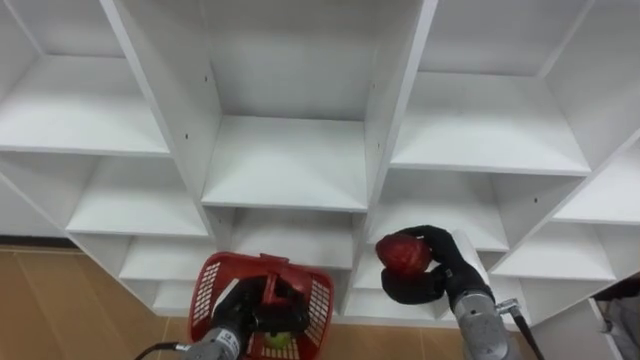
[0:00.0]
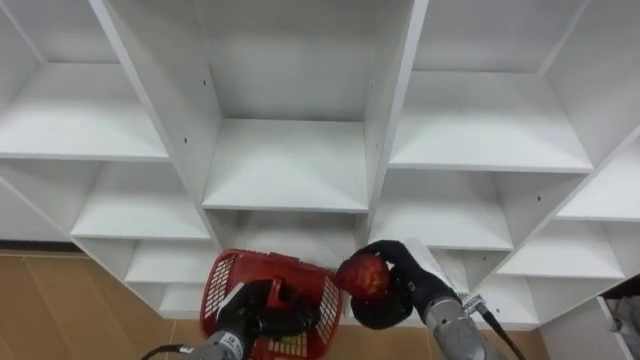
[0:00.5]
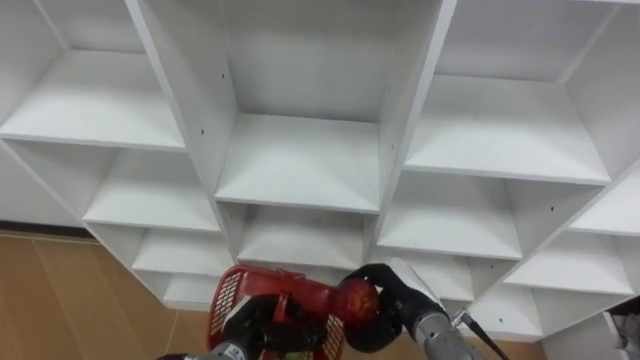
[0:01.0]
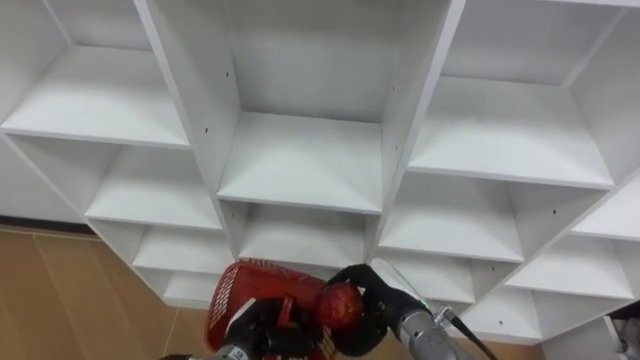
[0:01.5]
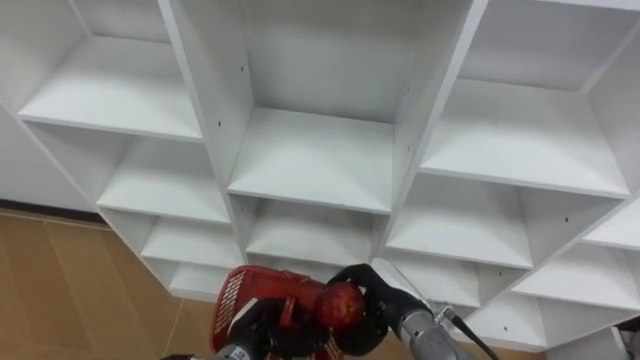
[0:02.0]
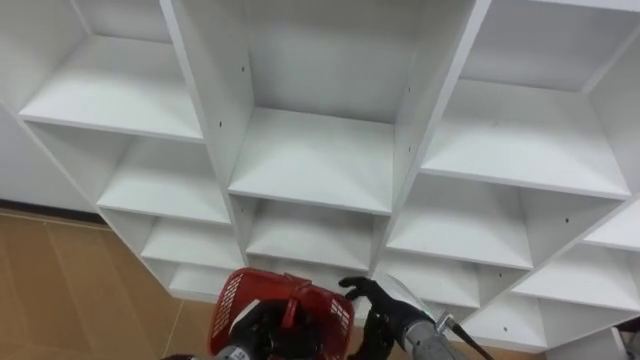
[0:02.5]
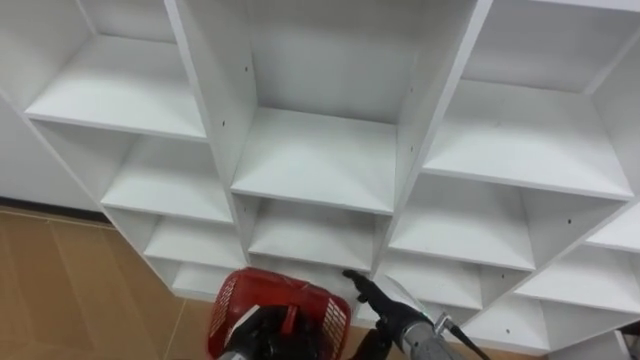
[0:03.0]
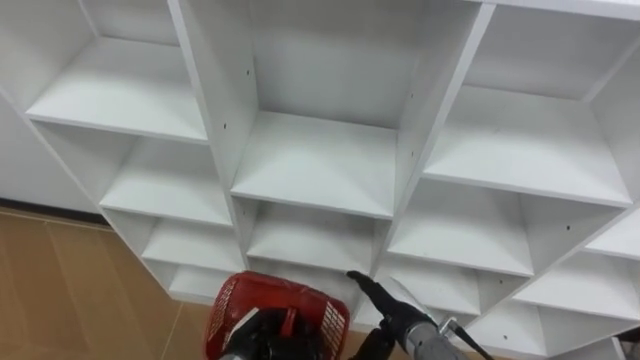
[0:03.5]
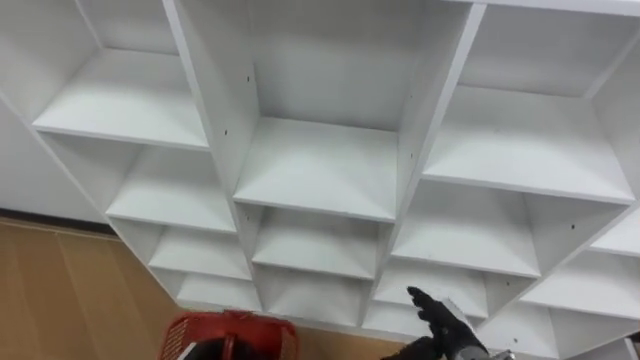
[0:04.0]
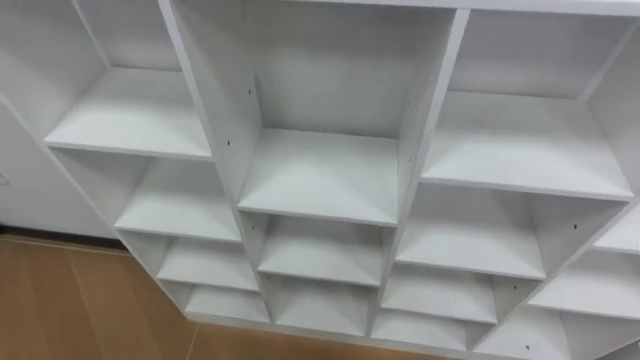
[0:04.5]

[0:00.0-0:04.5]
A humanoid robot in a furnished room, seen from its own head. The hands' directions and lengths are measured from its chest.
Task of the whole recording: Hold the basket and collect the fruits from 3 different cells of the closet into it.
0:00.0 to 0:02.0: The right hand heads to the left, covering some 10 cm.

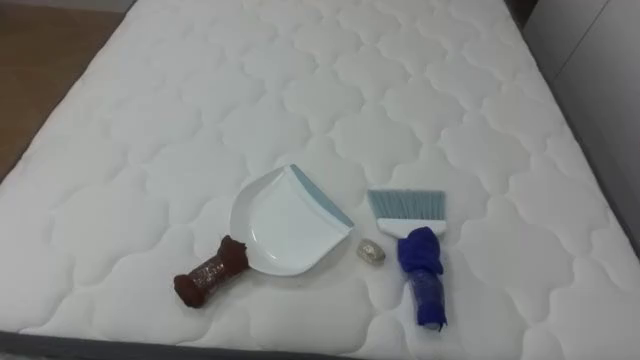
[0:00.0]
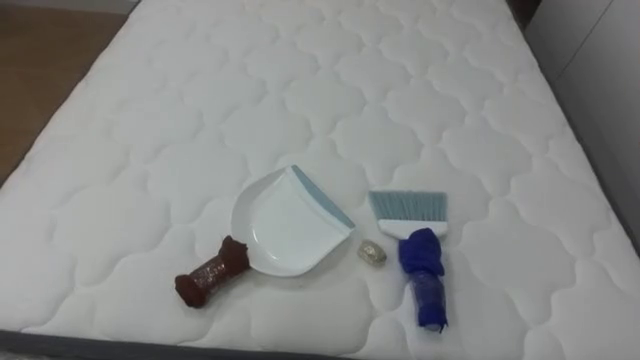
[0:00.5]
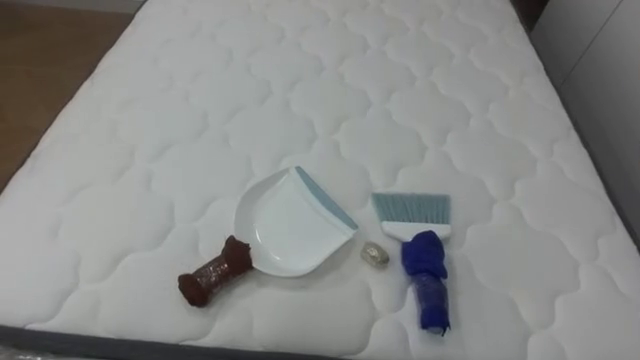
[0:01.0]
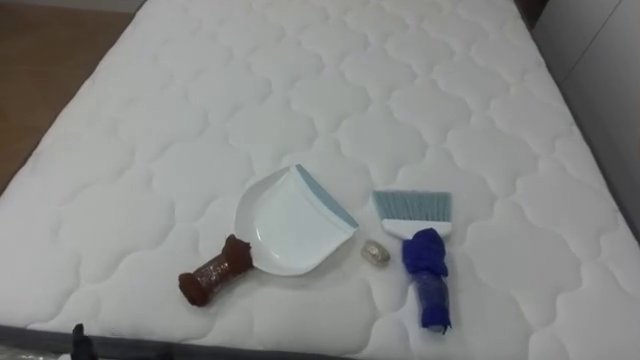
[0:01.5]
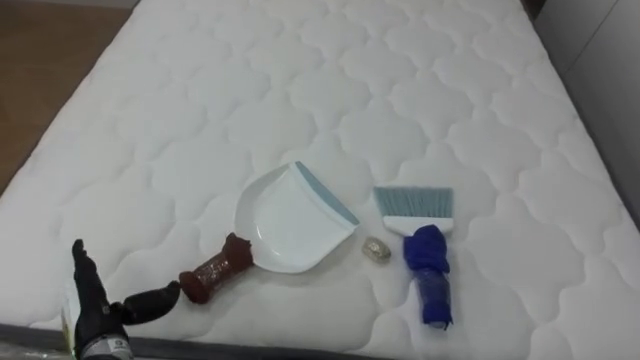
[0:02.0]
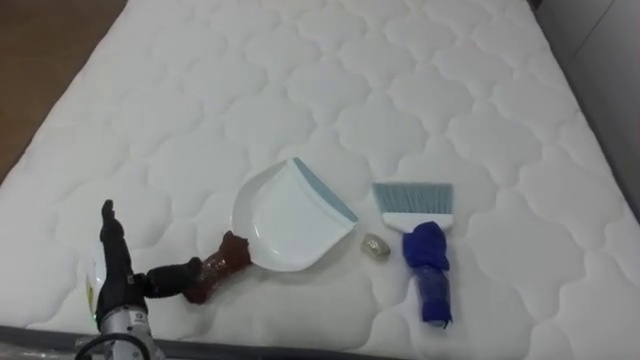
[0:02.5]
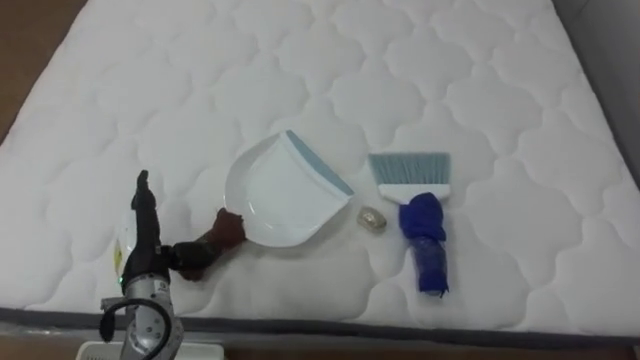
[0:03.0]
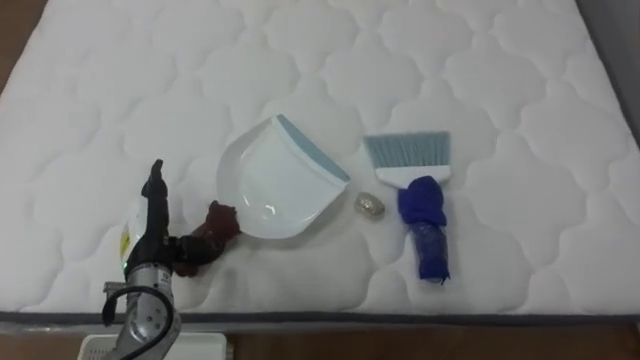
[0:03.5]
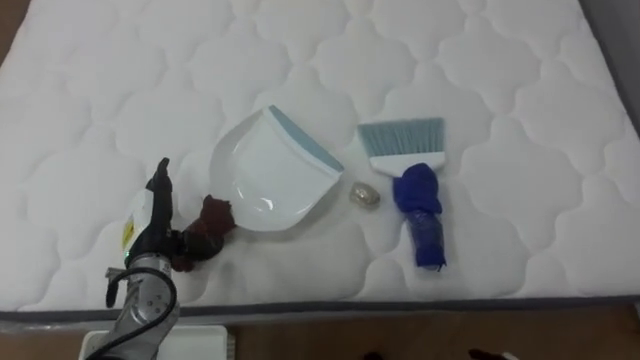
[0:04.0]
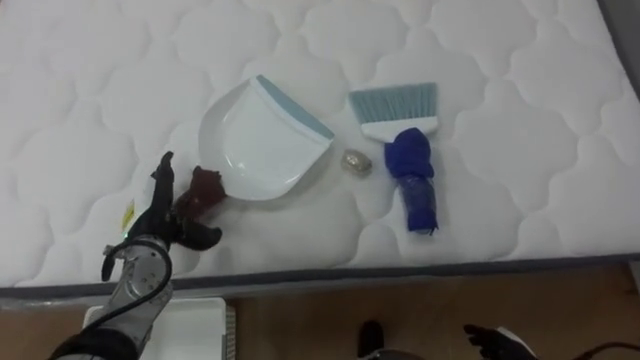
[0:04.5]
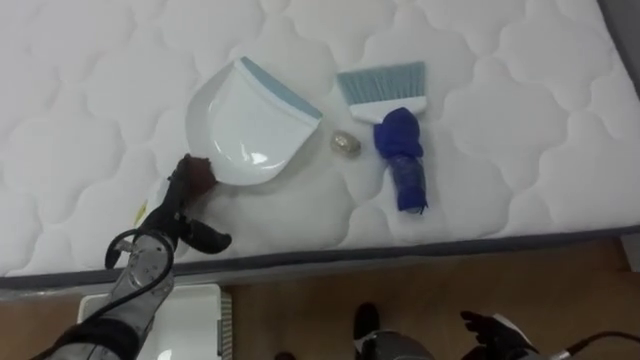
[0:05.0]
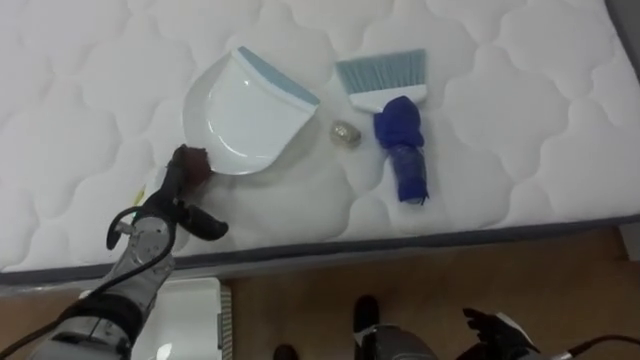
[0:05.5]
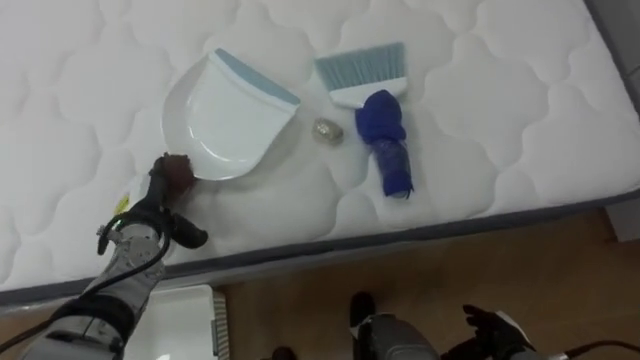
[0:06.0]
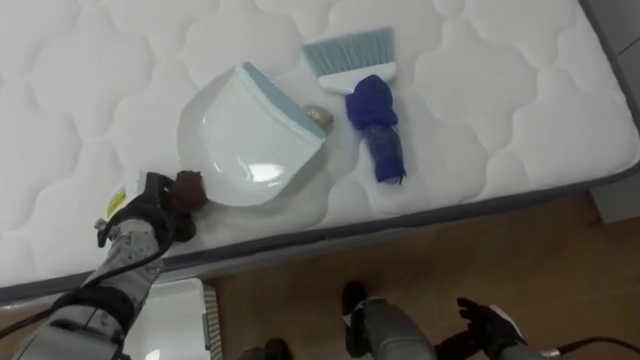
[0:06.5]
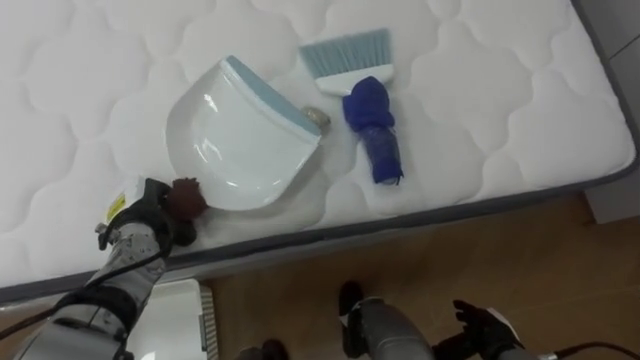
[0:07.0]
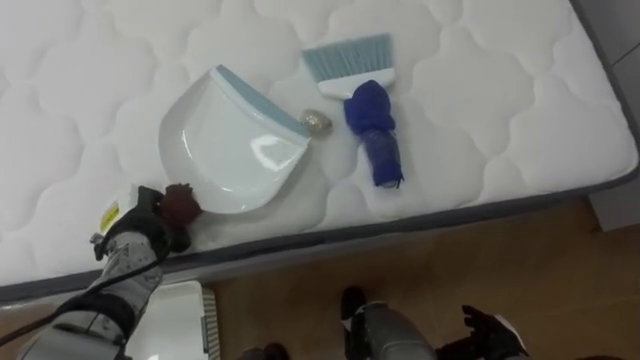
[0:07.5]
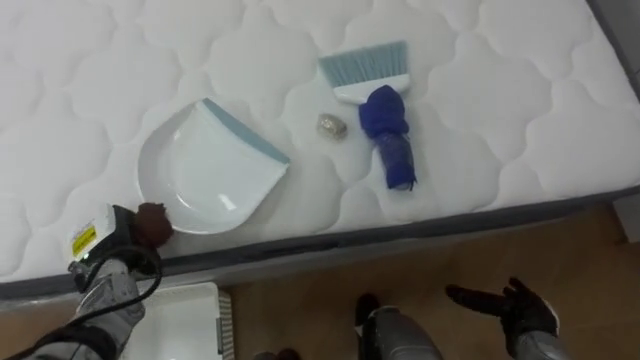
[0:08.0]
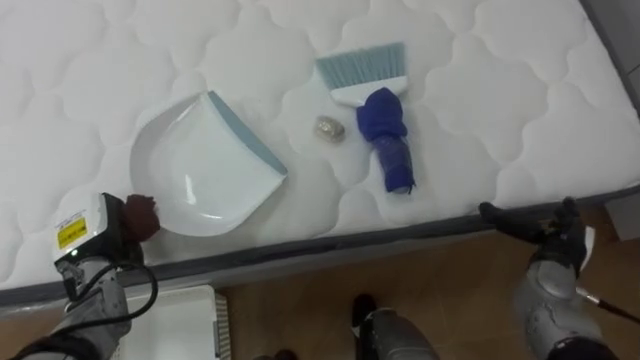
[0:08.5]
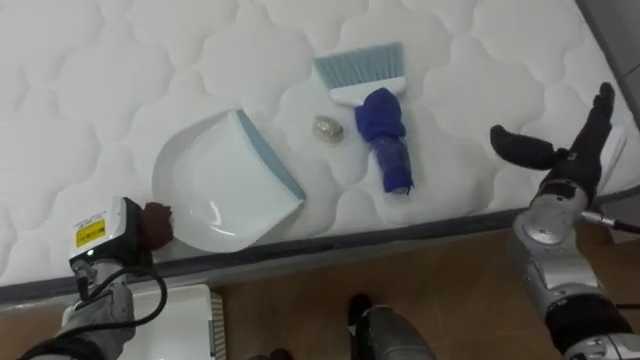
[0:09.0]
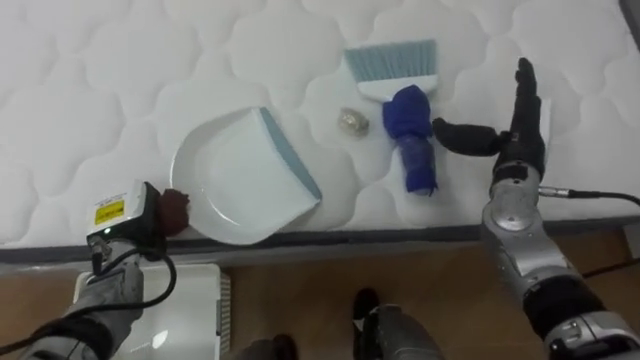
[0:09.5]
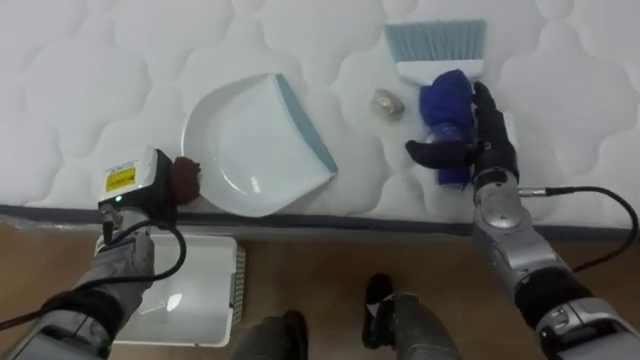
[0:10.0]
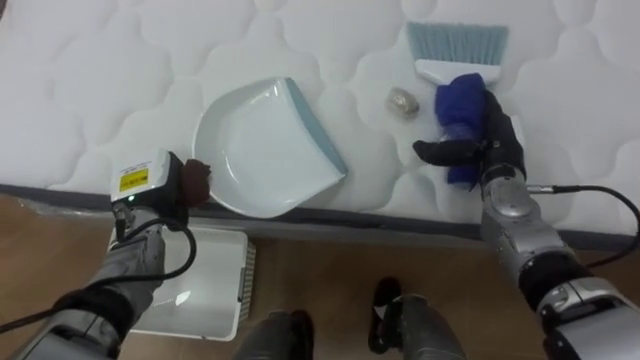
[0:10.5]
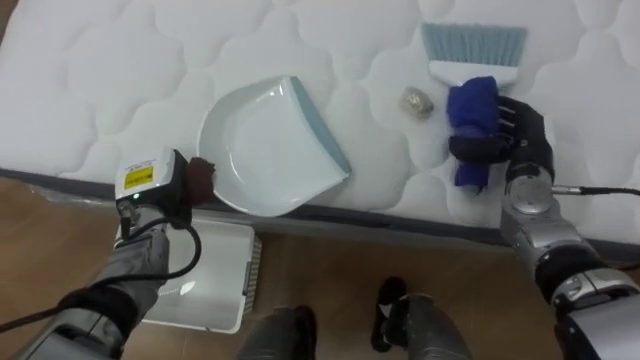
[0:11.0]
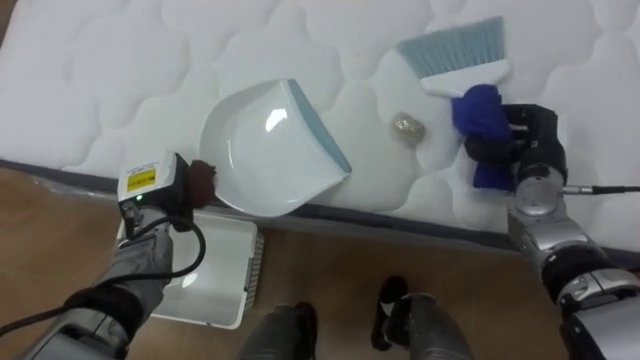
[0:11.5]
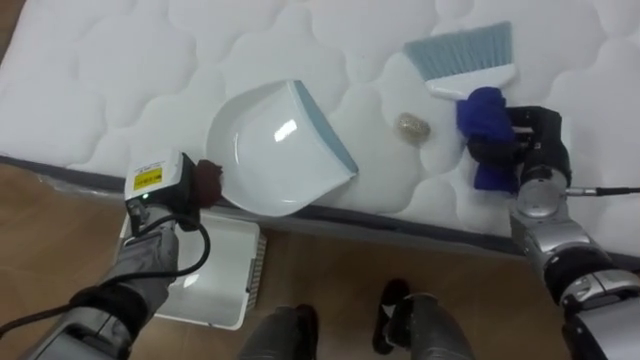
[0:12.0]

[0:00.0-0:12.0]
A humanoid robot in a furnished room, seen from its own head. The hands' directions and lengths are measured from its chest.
Task of the whole recording: Pick up the brush on your right and the dustpan on your left. Use the brush to sweep the crumpled paper on the bed into the dustpan, then turn left and empty it into the basket.
0:02.0 to 0:04.0: The left hand is displaced forward and to the right by roughly 10 cm.
0:06.0 to 0:08.0: The left hand moves about 5 cm, and closes its fingers.
0:08.0 to 0:10.0: The left hand goes about 10 cm forward and upward, while the right hand goes roughly 25 cm upward and forward.
0:10.0 to 0:12.0: The right hand moves to the right, about 5 cm, and closes its fingers.

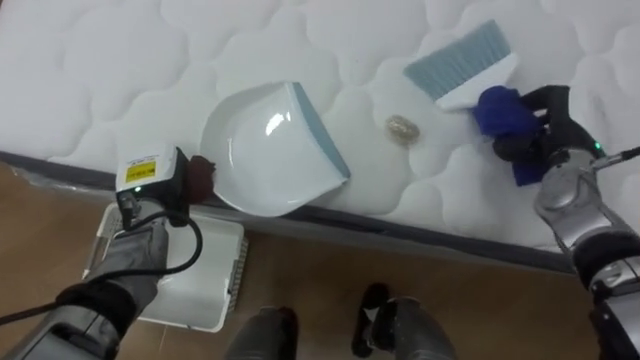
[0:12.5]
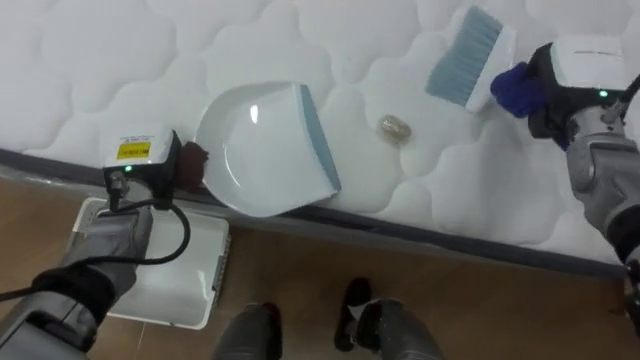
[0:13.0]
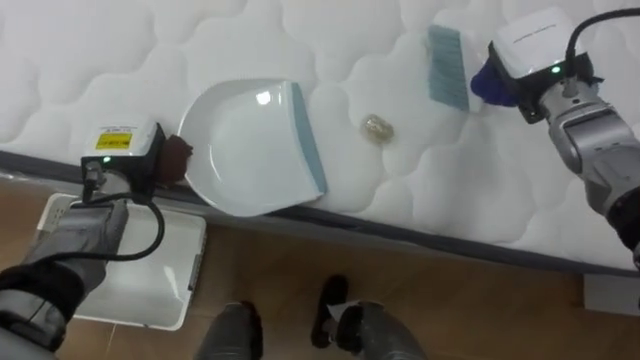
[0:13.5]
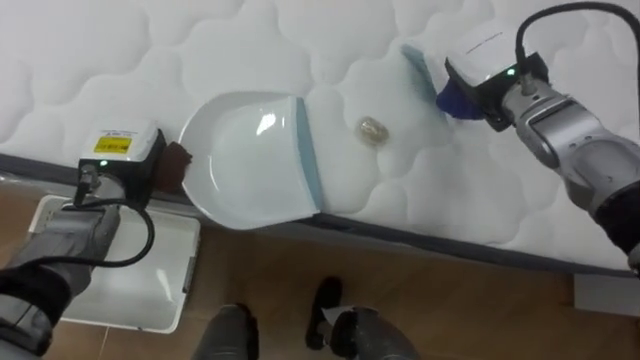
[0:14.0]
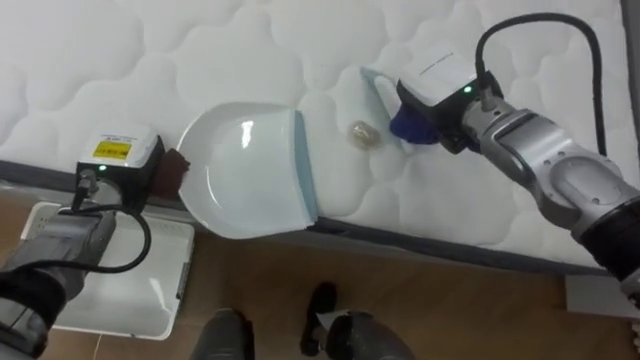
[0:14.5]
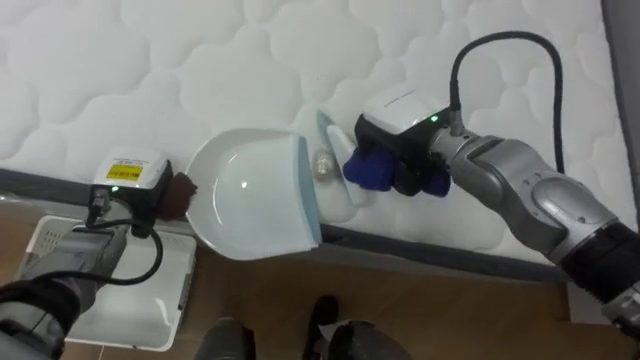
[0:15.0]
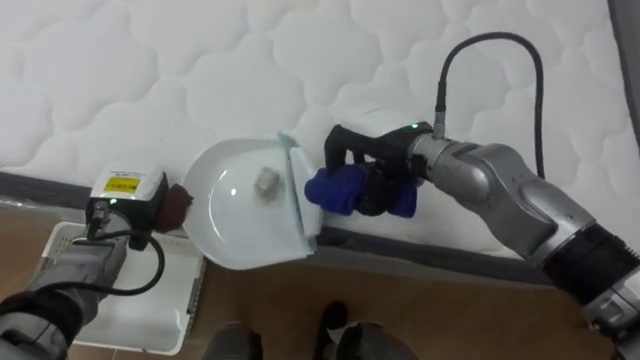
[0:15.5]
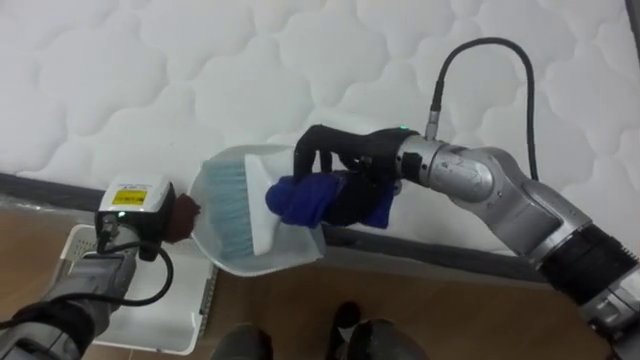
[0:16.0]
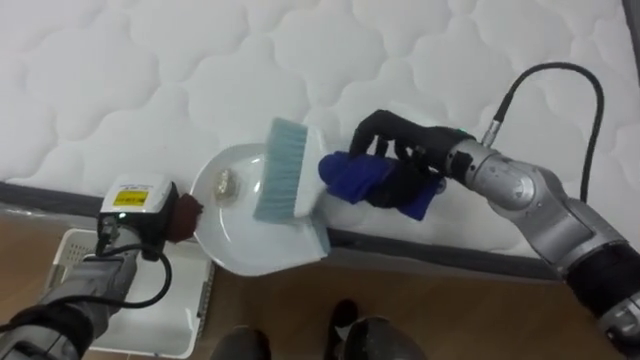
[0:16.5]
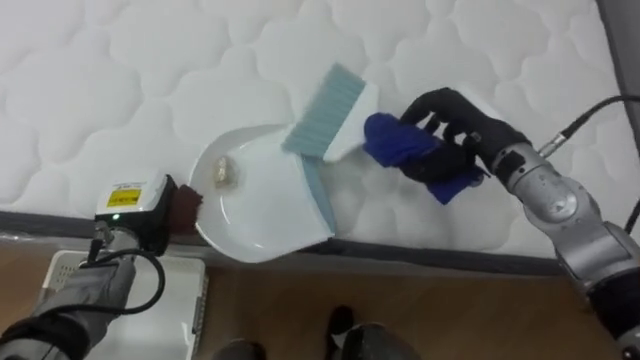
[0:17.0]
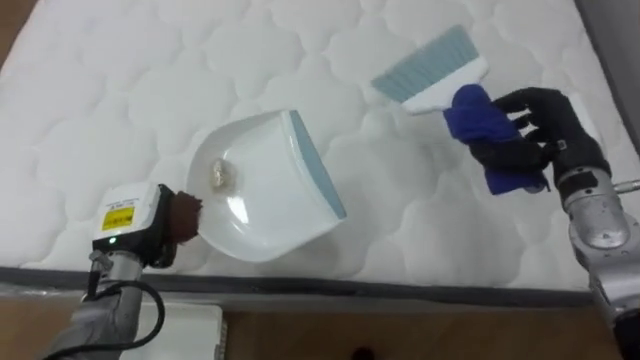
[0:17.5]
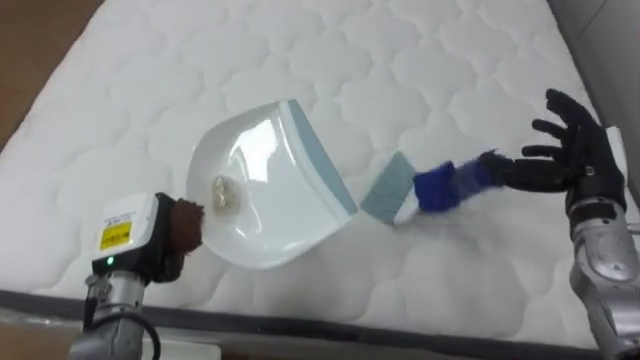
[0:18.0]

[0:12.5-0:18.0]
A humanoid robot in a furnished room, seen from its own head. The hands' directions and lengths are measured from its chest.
Task of the whole recording: Pick up the brush on your right and the dustpan on your left. Use the brush to sweep the crumpled paper on the bed into the dustpan, then turn left and empty it into the basket.
0:12.5 to 0:14.5: The right hand moves to the left, about 20 cm.
0:14.5 to 0:16.0: The right hand heads to the left and backward, covering about 10 cm. The left hand is displaced downward by approximately 5 cm.
0:16.0 to 0:18.0: The left hand travels backward by about 5 cm. The right hand shifts about 30 cm to the right, and opens up.
